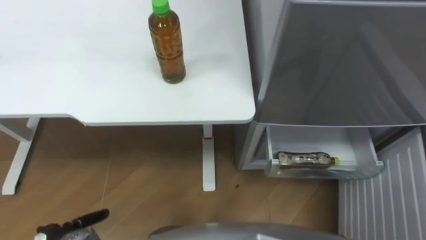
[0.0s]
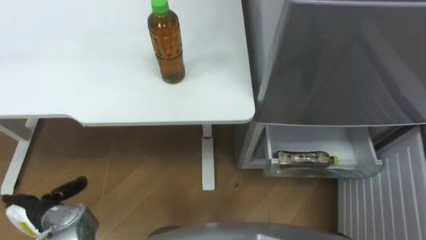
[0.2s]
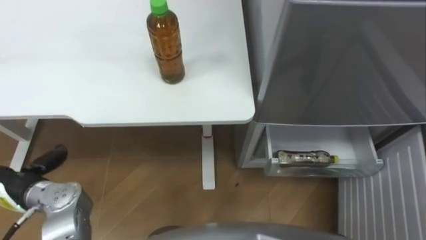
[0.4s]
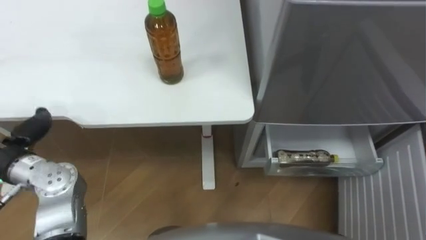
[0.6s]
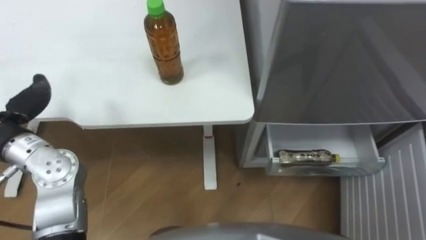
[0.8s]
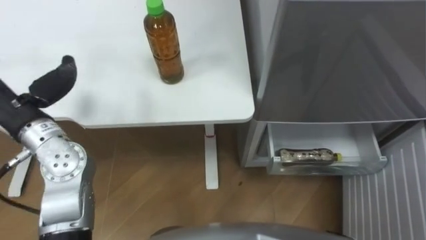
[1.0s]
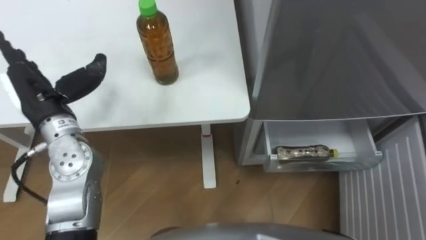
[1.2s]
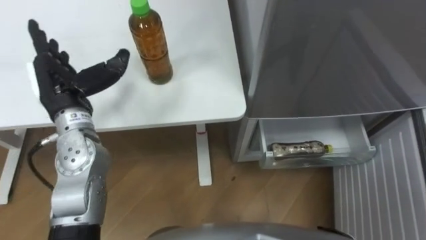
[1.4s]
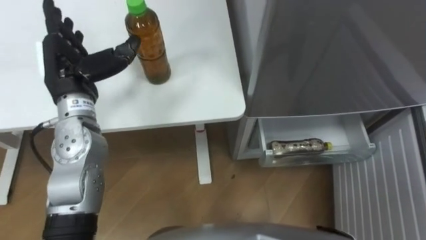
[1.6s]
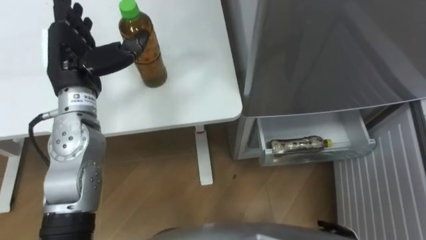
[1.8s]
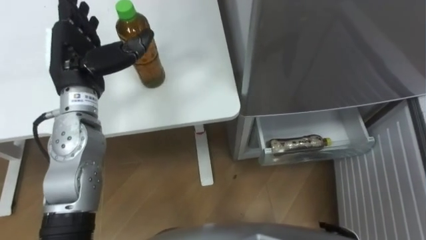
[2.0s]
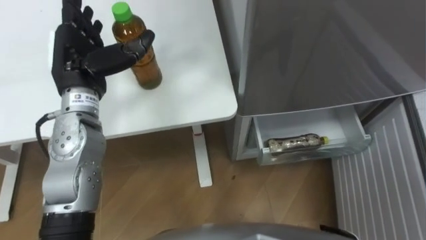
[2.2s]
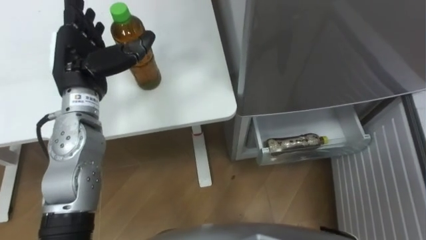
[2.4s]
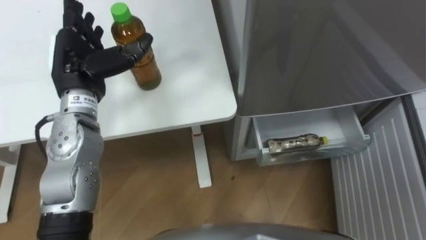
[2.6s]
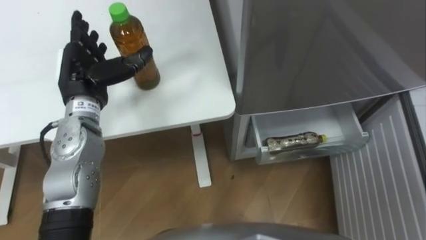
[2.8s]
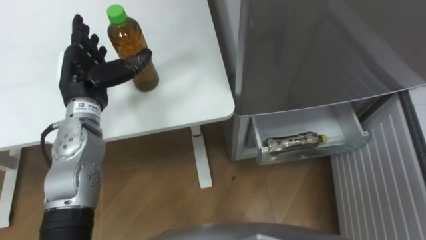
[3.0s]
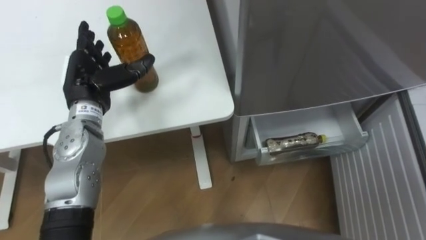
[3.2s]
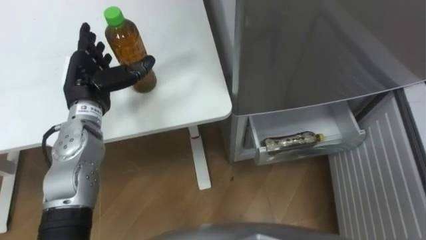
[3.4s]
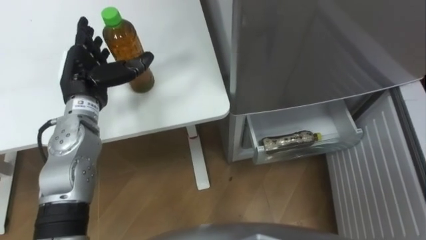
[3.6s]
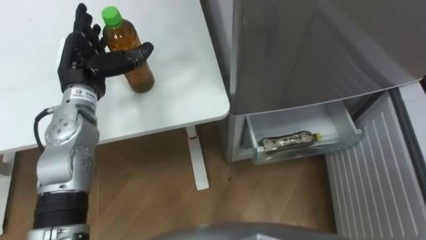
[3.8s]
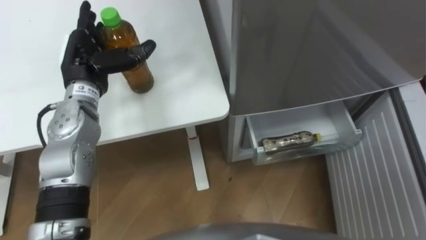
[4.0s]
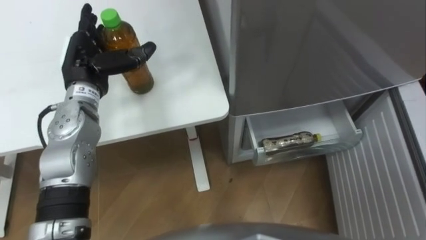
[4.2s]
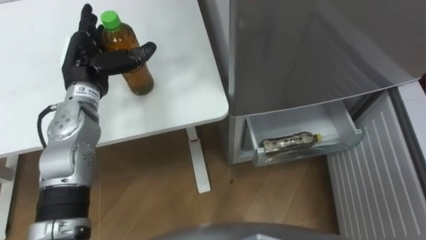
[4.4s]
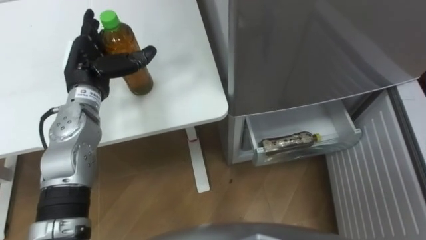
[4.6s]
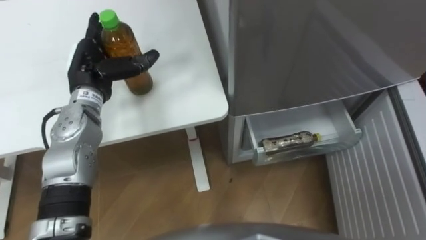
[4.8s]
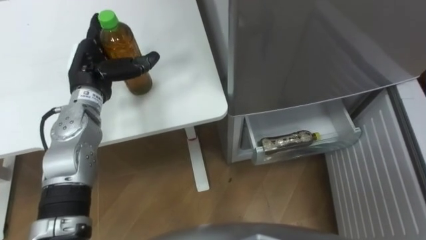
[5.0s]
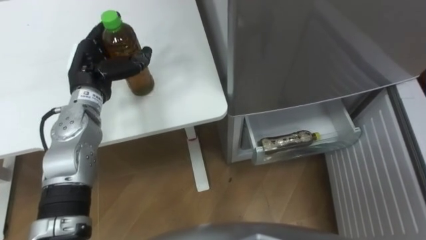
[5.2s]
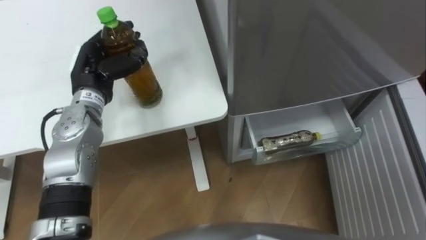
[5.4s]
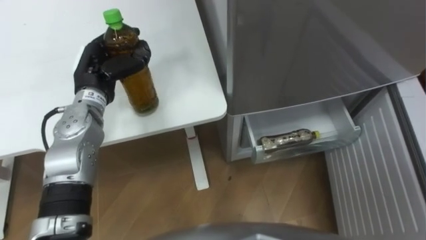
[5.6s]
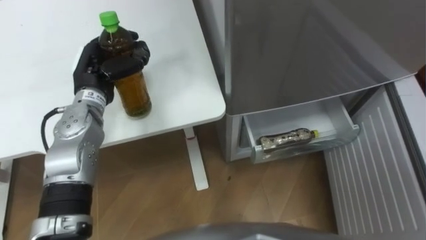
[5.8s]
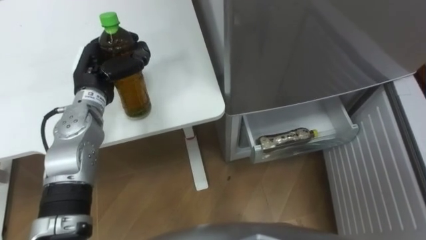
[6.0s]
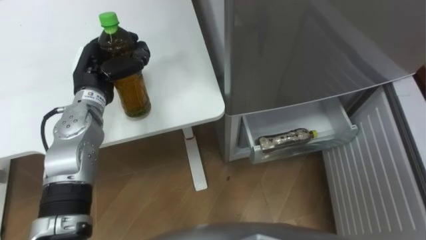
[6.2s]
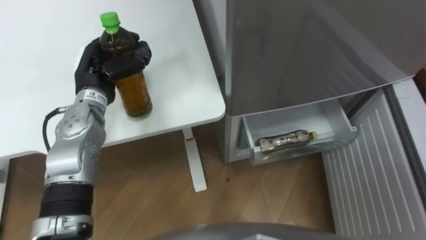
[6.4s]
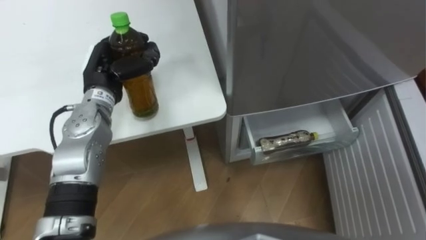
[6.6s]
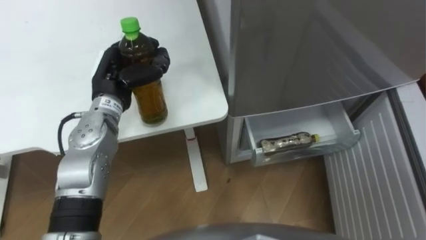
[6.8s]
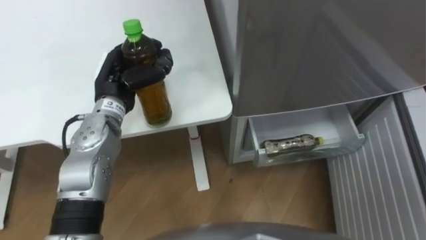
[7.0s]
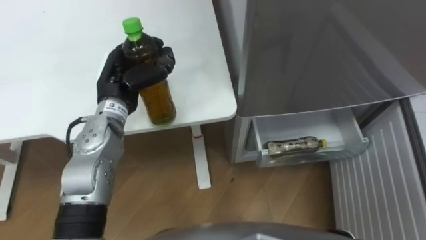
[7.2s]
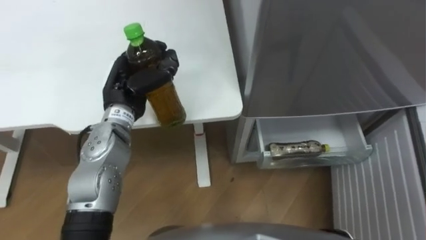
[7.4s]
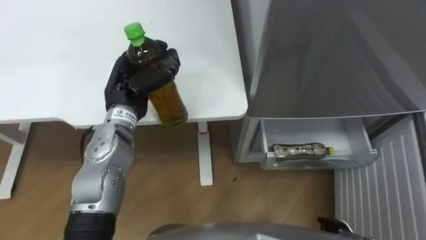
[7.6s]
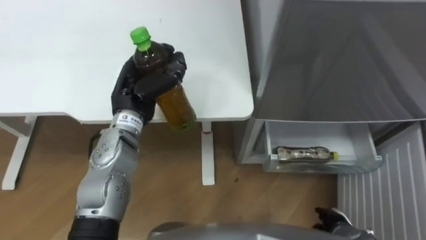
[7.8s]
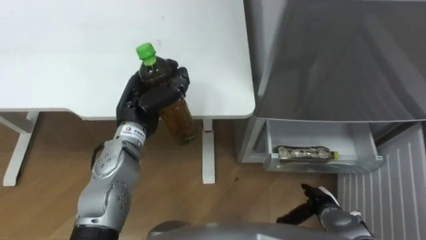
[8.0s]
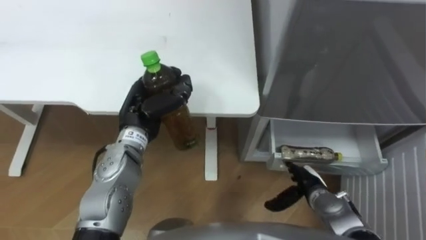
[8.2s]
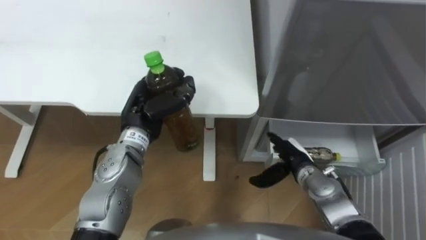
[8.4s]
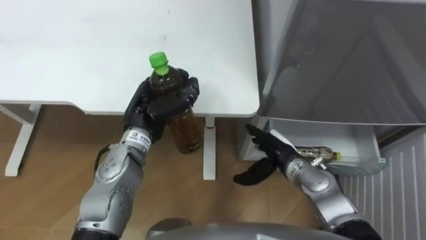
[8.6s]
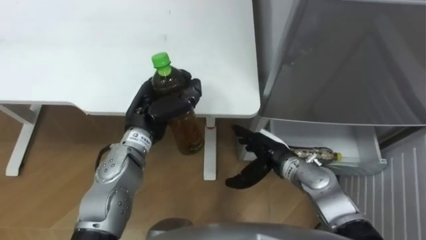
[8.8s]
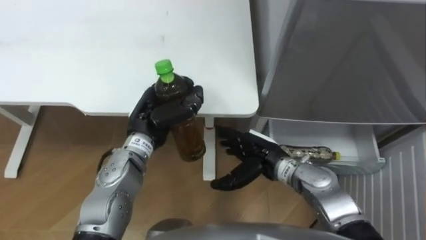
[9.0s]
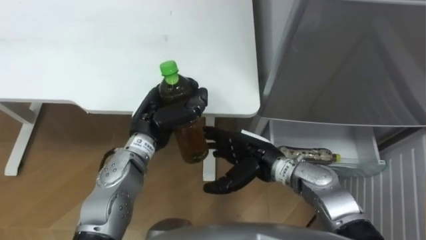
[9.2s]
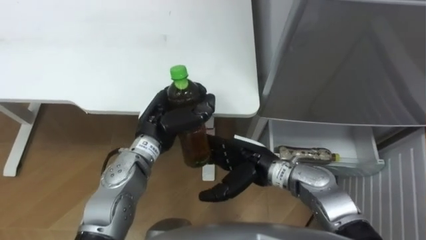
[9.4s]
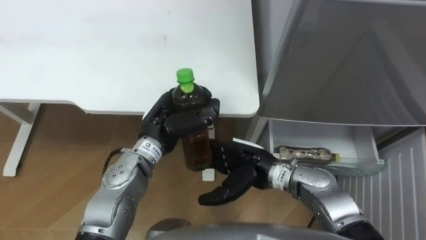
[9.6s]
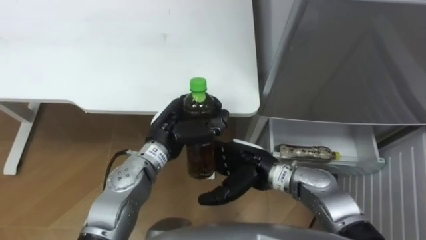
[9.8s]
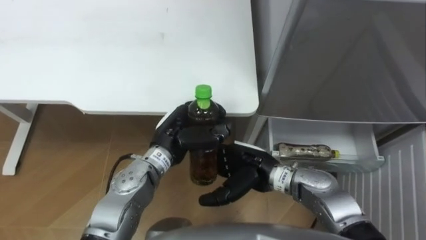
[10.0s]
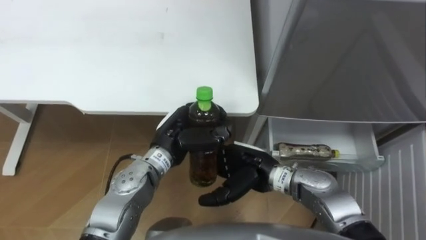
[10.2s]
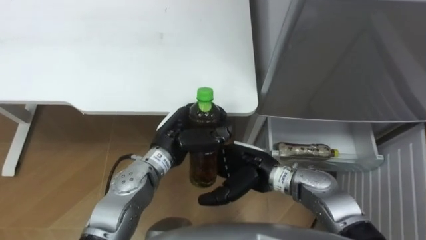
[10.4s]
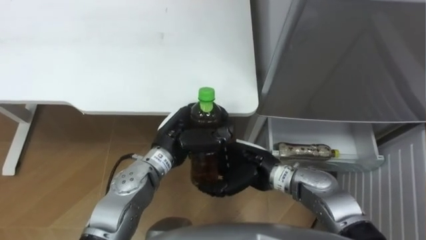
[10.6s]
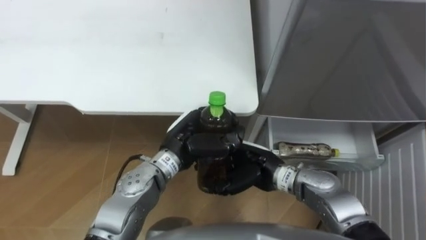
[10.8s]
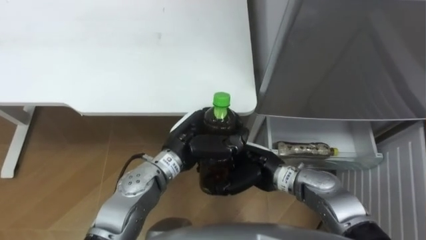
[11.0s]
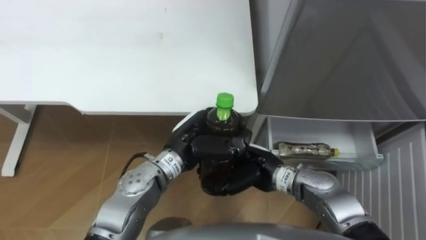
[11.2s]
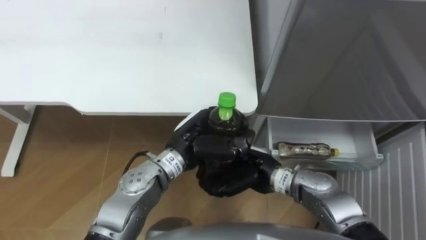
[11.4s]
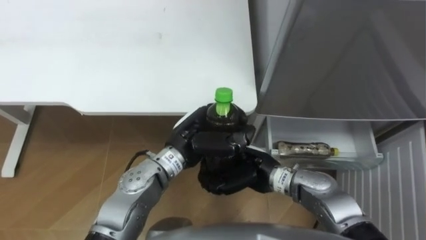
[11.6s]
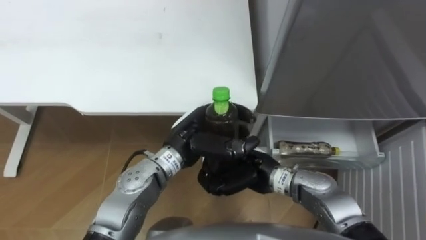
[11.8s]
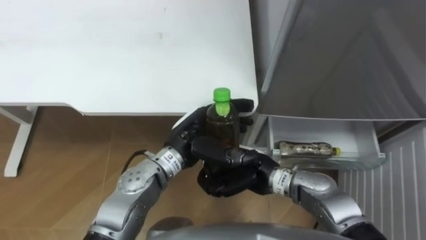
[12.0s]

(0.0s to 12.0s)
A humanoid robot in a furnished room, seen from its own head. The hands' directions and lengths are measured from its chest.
Task of the whole recording: Place the drink on the table on the bottom shelf of the refrigerator, then close the drawer and the refrigerator door.
4.4s - 6.0s: The left hand closes up.
6.0s - 7.6s: The left hand travels to the right by approximately 5 cm.
7.6s - 9.0s: The left hand shifts by some 5 cm, while the right hand travels to the left, forward and upward by about 25 cm.
9.0s - 10.4s: The right hand shifts by approximately 5 cm, while the left hand is displaced to the right by approximately 5 cm.
10.4s - 12.0s: The left hand opens. The right hand closes up.

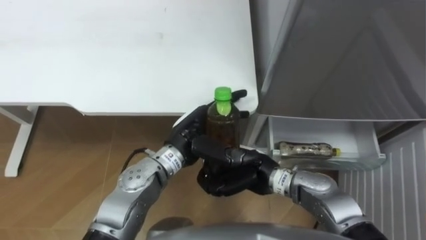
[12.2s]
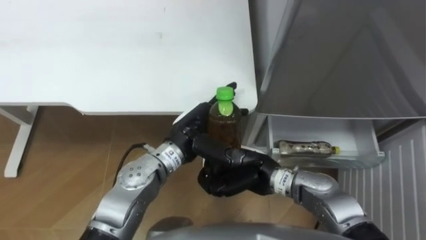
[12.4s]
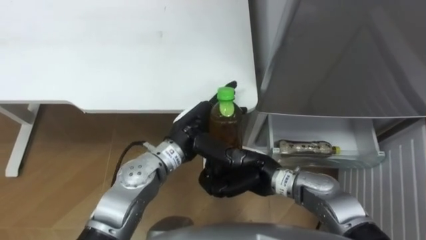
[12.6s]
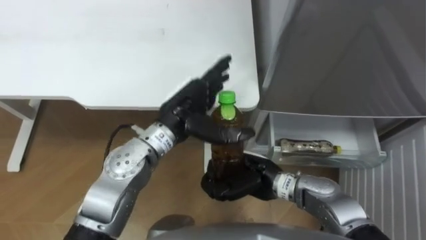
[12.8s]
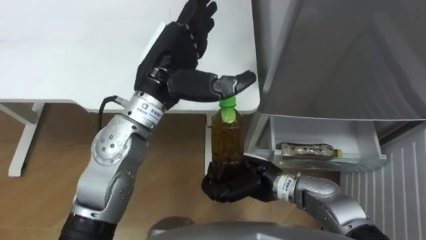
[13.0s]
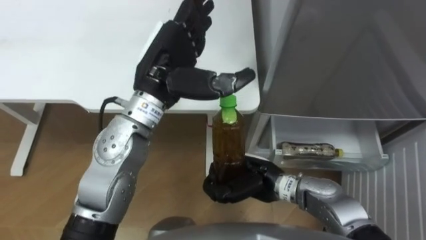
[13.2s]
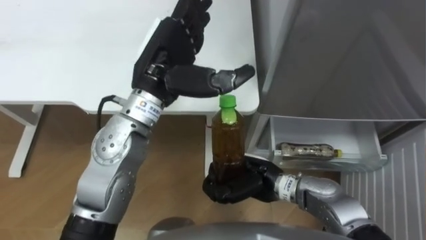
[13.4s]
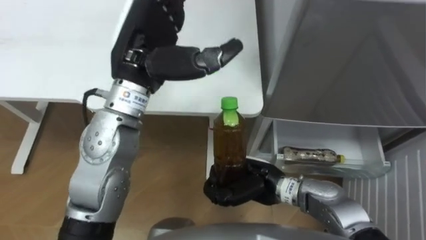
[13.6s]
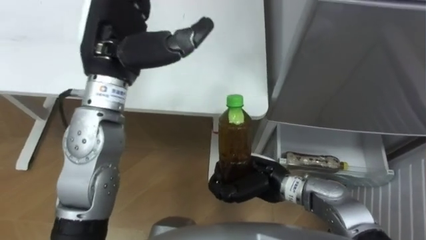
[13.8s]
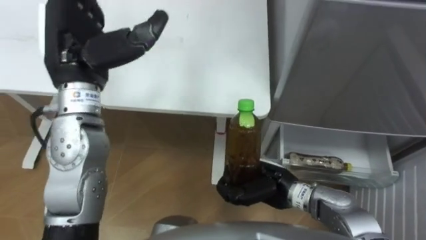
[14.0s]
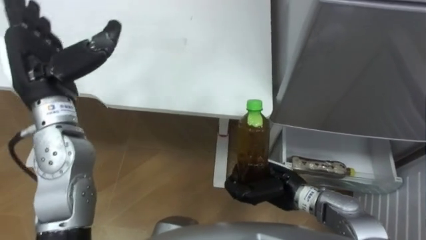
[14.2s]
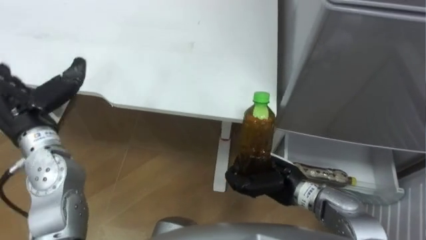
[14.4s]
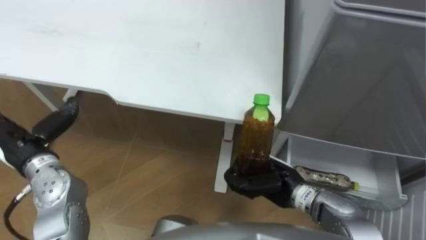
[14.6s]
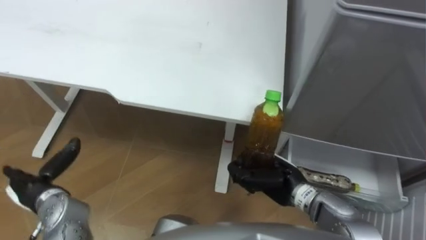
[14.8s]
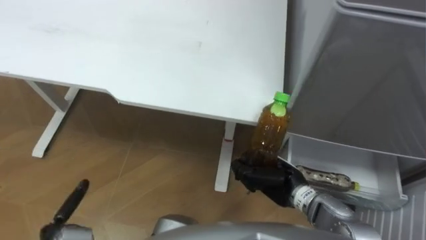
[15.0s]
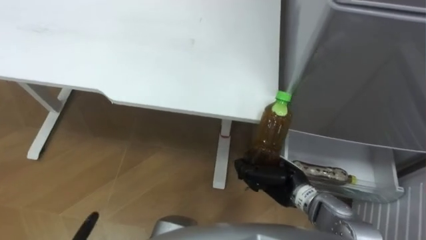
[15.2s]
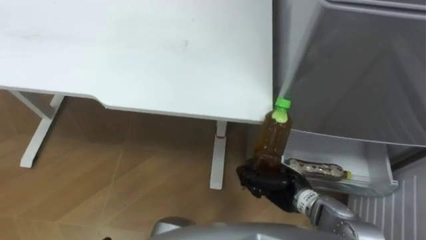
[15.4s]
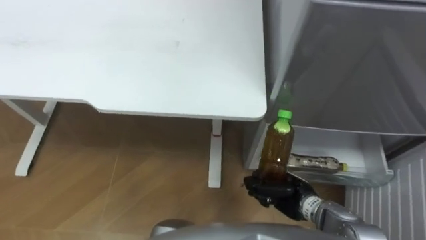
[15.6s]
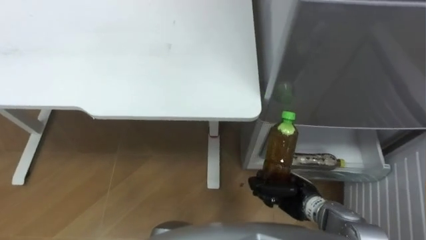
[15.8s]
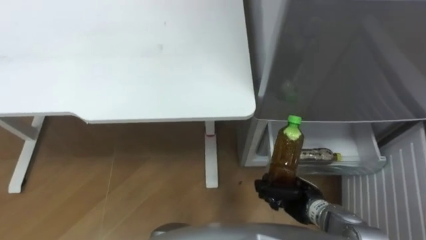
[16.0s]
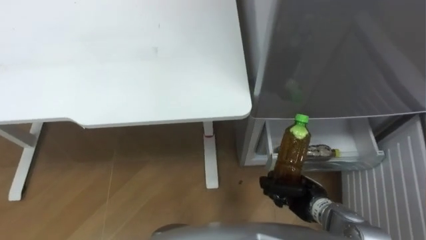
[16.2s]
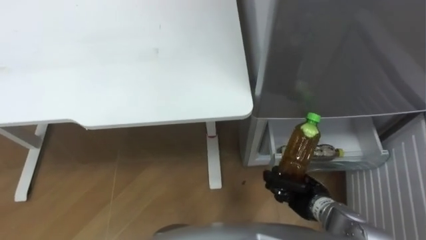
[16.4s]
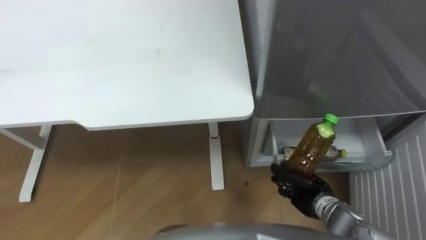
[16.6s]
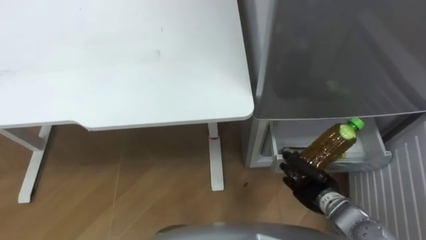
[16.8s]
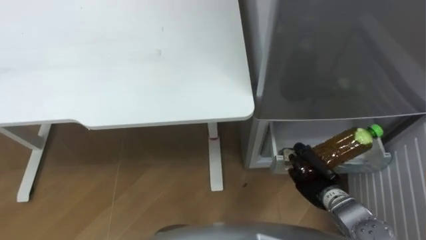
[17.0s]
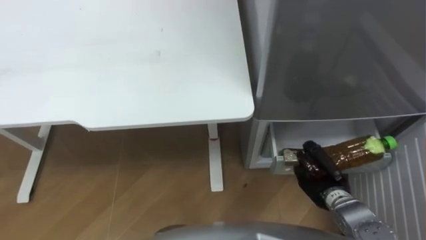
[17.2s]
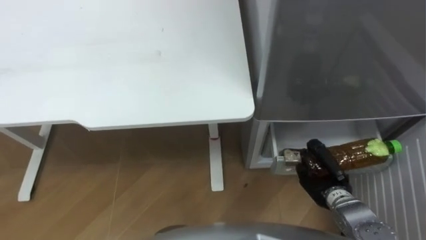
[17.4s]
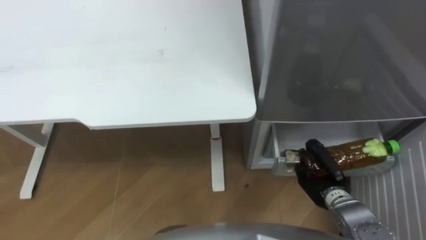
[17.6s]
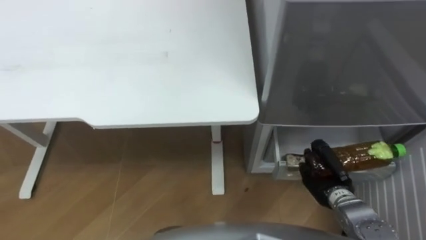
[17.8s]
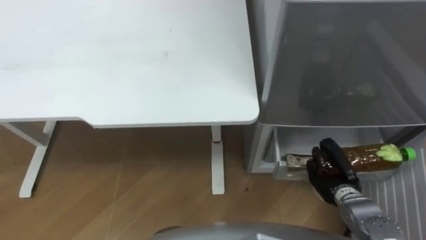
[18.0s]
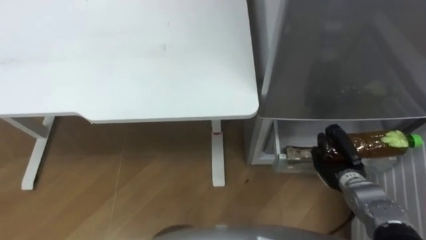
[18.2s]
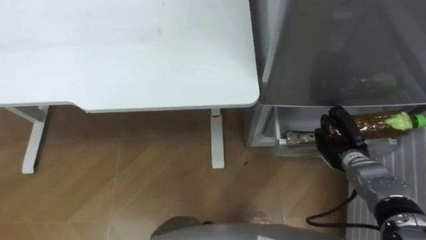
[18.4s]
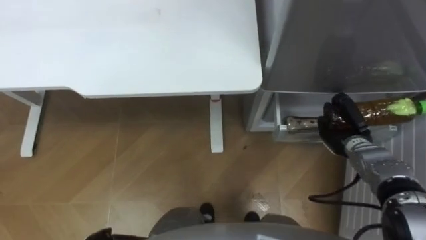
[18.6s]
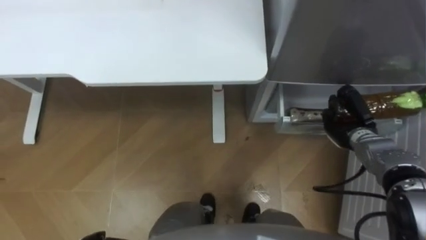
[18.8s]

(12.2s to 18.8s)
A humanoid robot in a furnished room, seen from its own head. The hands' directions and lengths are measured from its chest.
Task of the whole recording: Place the drink on the table on the bottom shelf of the refrigerator, then close the drawer and the refrigerator door.
12.2s - 13.8s: The left hand is displaced upward and to the left by some 20 cm.
13.8s - 15.4s: The right hand shifts approximately 5 cm to the right.
15.4s - 17.2s: The right hand is displaced to the right by roughly 10 cm.
17.2s - 18.8s: The right hand travels forward and to the right by some 15 cm.
